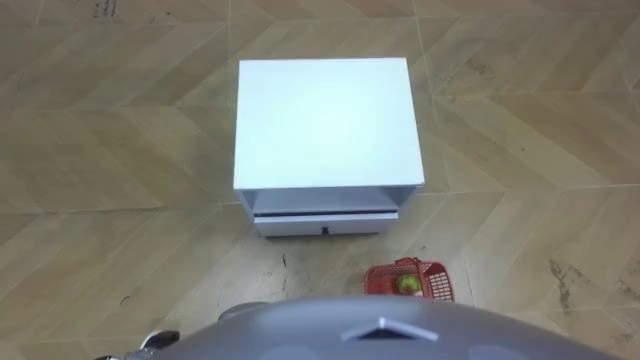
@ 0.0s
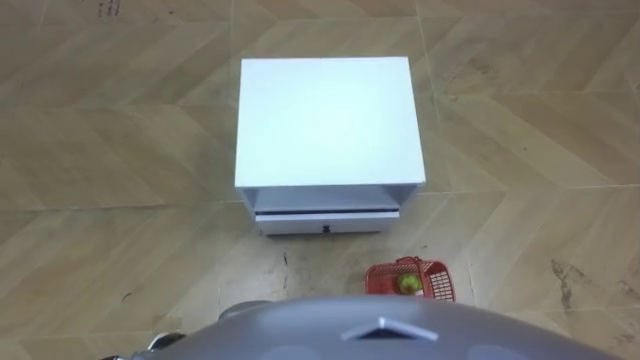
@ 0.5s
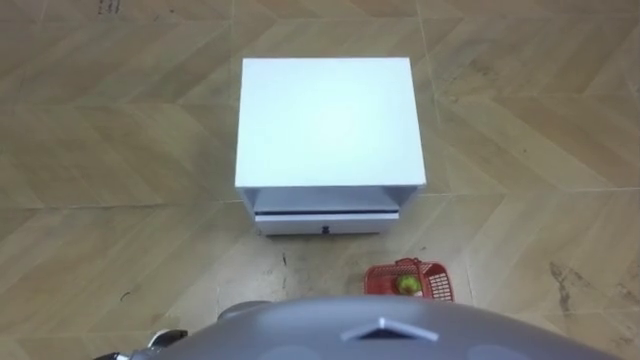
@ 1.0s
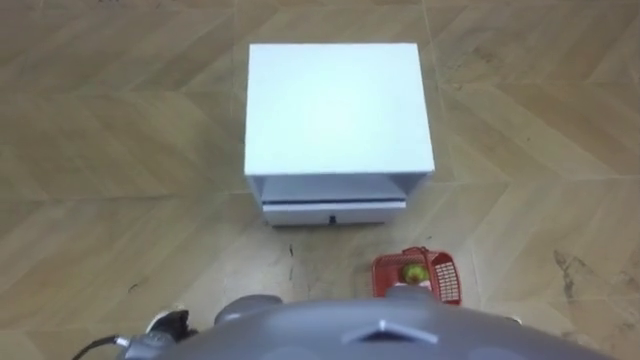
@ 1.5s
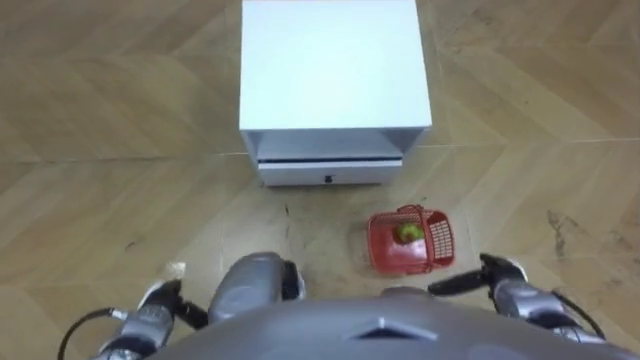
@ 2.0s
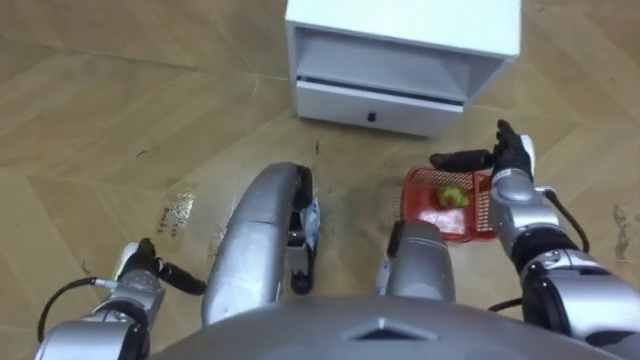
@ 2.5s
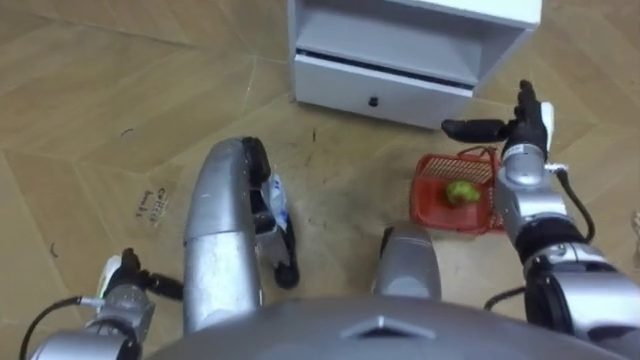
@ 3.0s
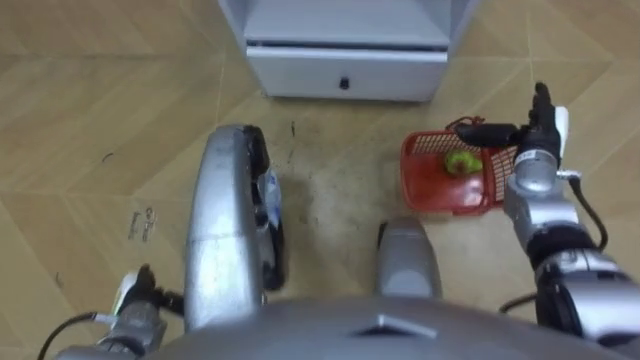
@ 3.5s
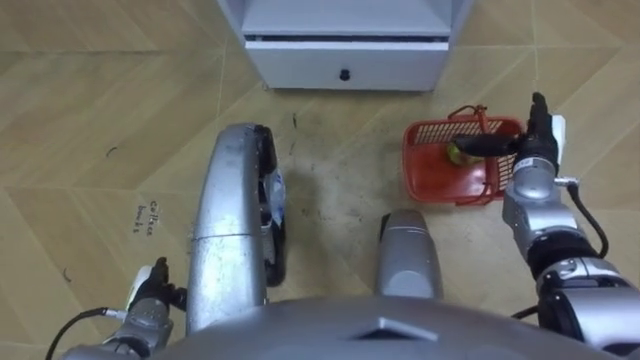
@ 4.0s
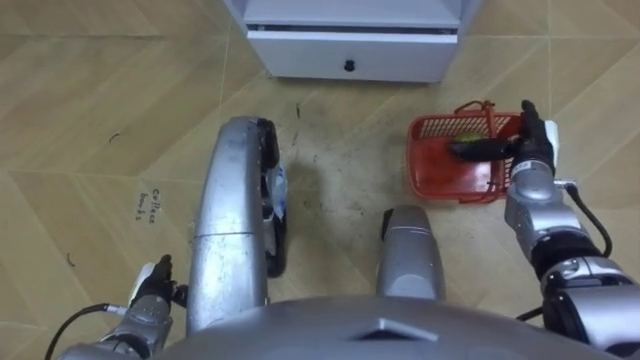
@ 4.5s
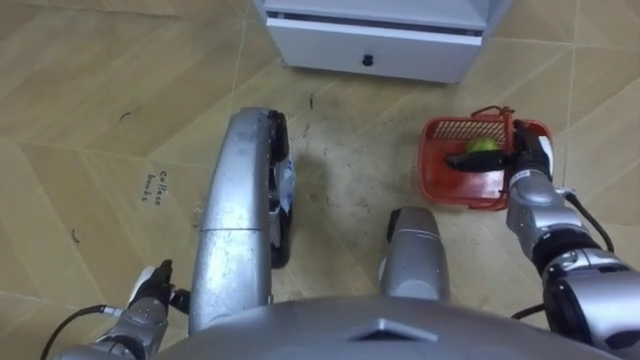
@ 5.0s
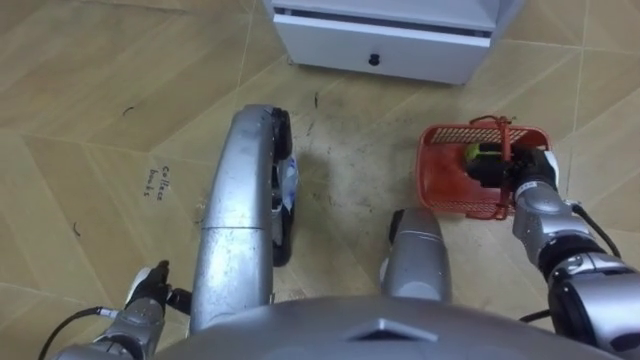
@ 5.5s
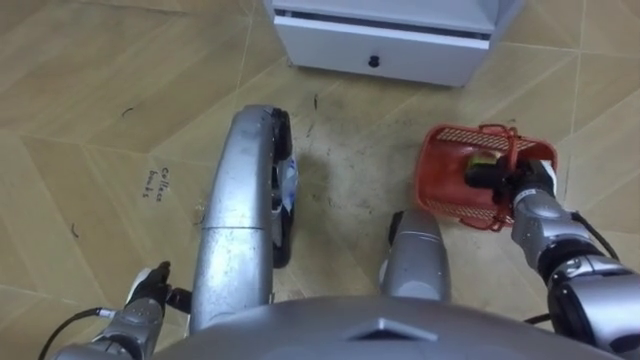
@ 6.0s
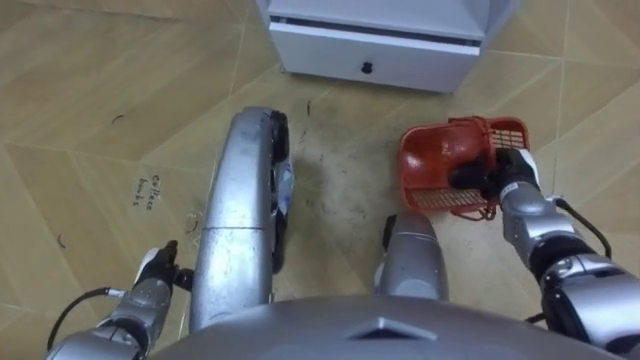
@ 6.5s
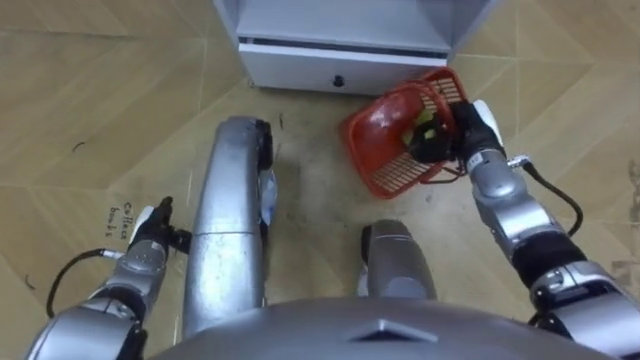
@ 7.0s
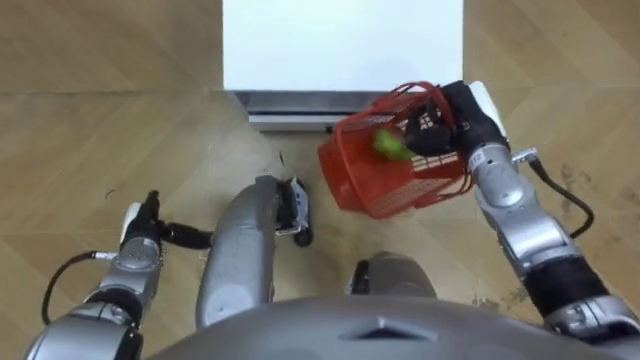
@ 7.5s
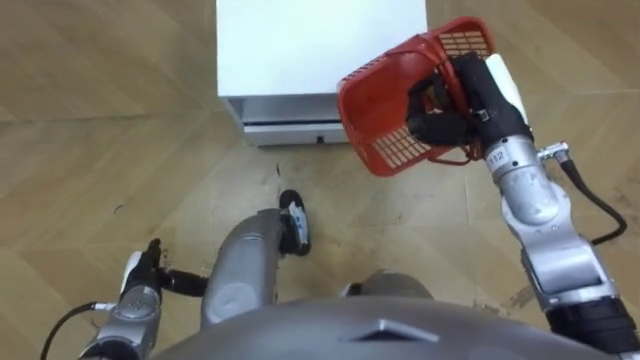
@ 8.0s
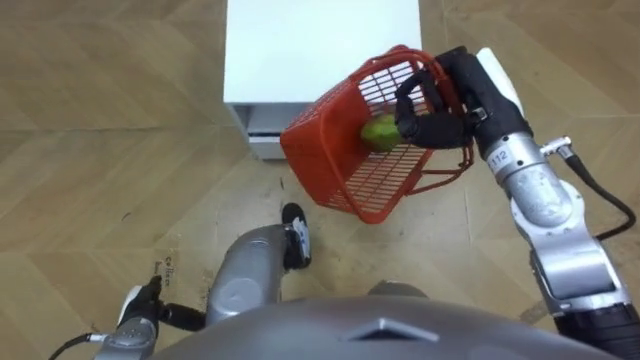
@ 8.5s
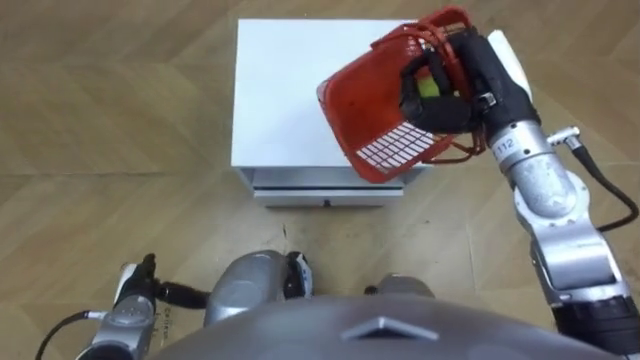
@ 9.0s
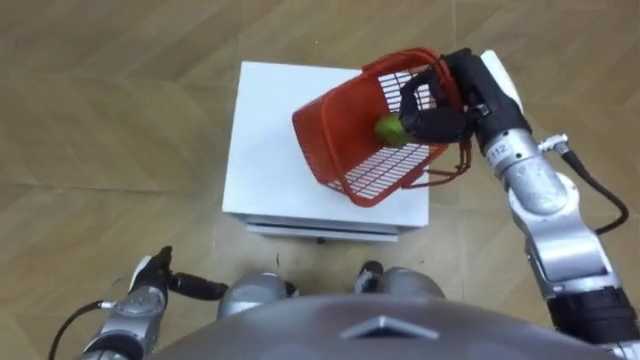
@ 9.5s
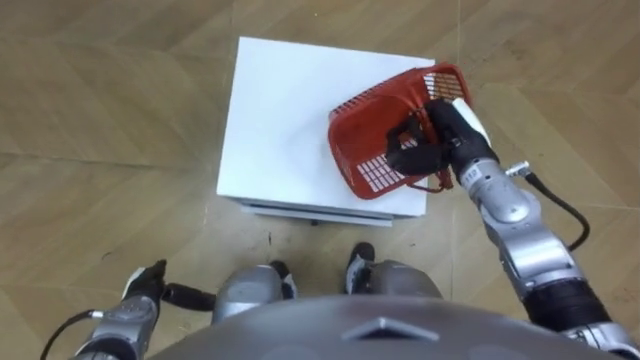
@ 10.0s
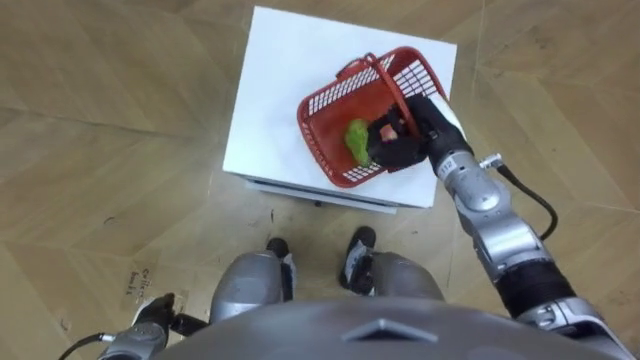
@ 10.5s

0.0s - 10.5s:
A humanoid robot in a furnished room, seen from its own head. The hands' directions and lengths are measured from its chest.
Task of the whole recording: Pick up the fruit basket from the floor and place it on the cabinet.
2.0s - 4.0s: The right hand travels forward and upward by some 25 cm.
4.0s - 6.5s: The right hand moves some 5 cm, and closes up.
6.5s - 8.5s: The robot rotates about 15 degrees to its right. The left hand heads backward, covering roughly 5 cm; the right hand goes about 20 cm upward and to the left.
8.5s - 10.5s: The right hand travels downward by about 10 cm.

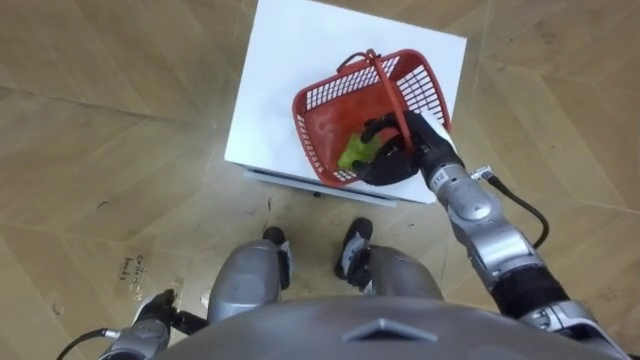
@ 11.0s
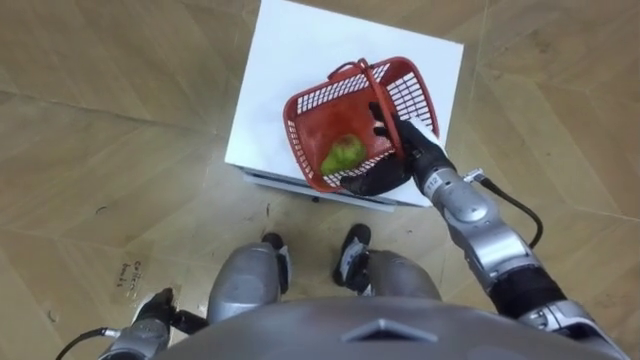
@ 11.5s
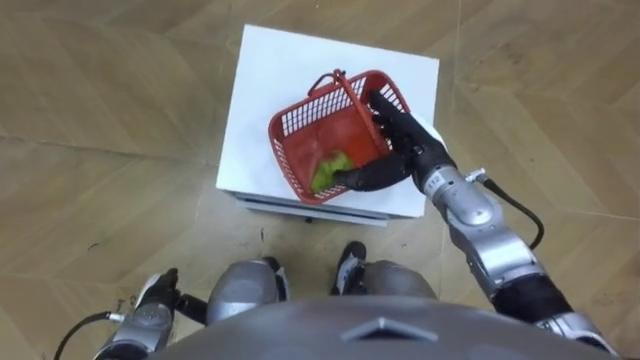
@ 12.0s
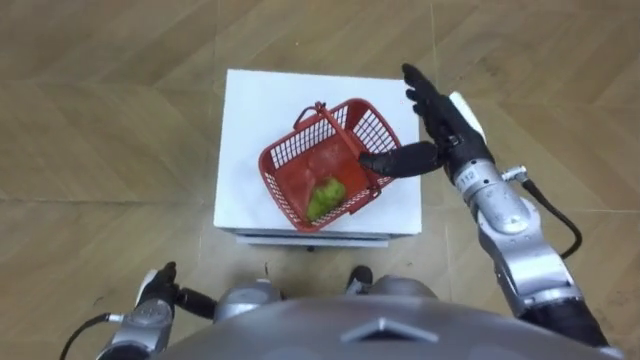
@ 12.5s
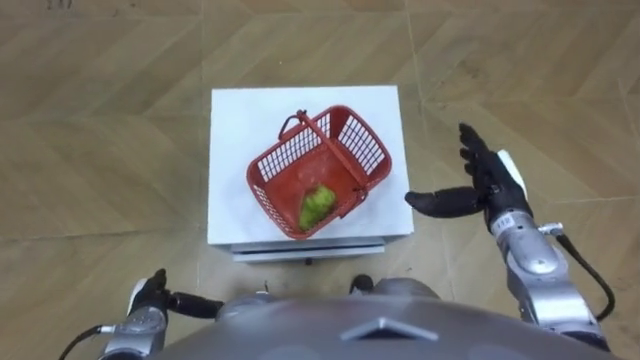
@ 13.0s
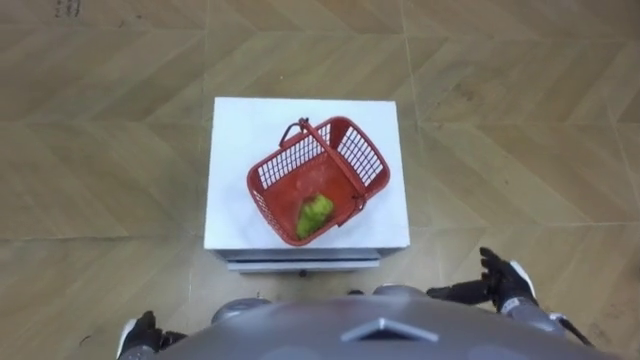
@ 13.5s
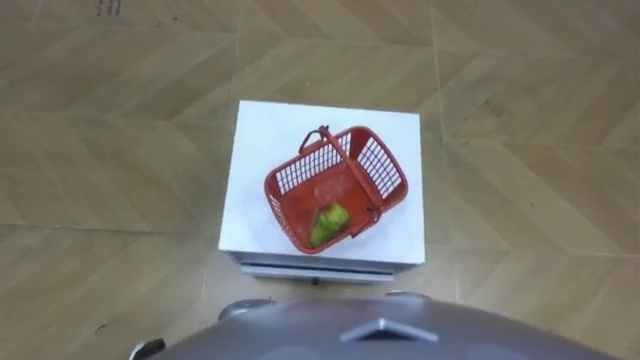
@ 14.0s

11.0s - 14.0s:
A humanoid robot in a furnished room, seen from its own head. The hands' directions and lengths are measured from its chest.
Task of the whole recording: Pick up the fruit basket from the floor and place it on the cabinet.
11.0s - 12.5s: The right hand shifts roughly 5 cm upward, and opens up.
12.5s - 14.0s: The right hand travels backward and downward by some 35 cm.
